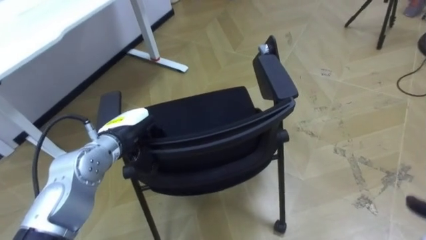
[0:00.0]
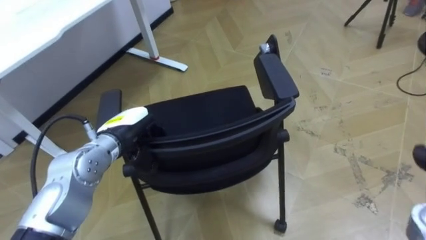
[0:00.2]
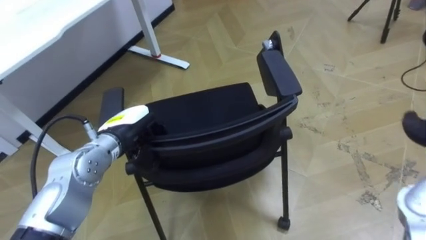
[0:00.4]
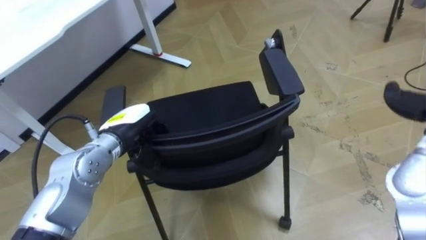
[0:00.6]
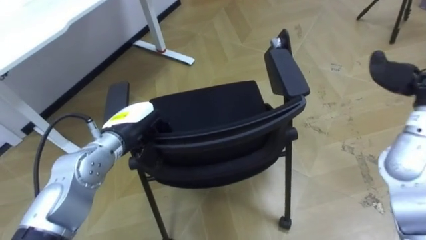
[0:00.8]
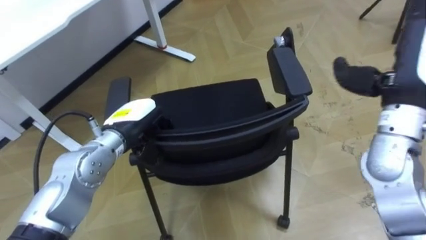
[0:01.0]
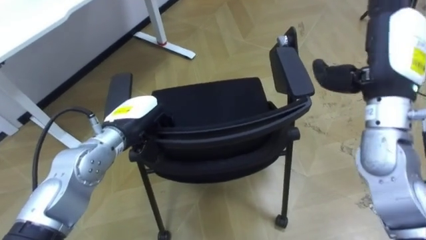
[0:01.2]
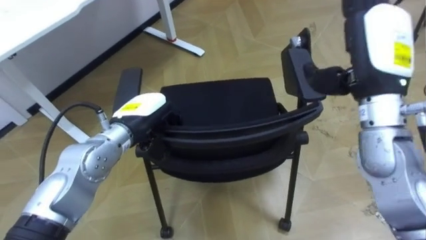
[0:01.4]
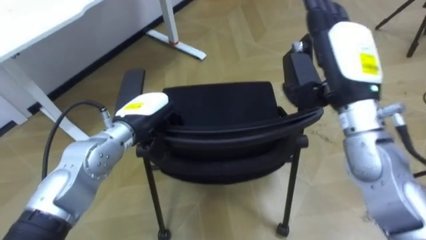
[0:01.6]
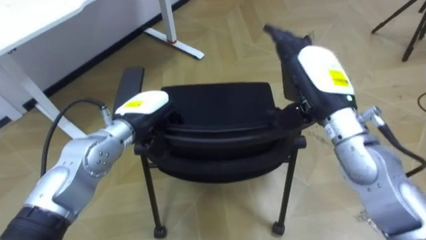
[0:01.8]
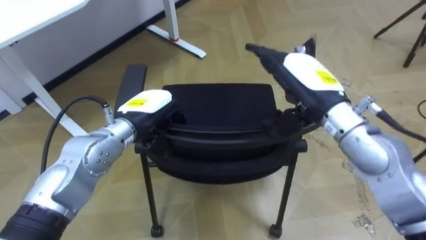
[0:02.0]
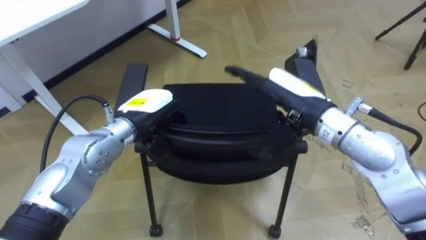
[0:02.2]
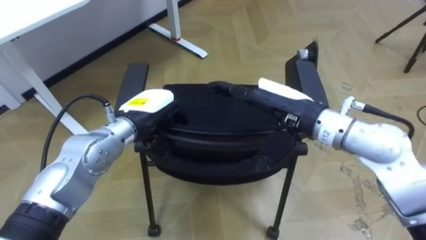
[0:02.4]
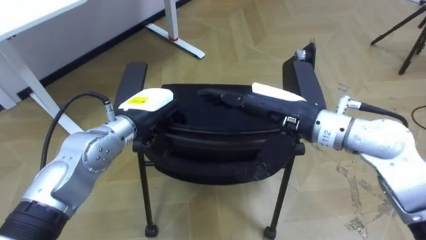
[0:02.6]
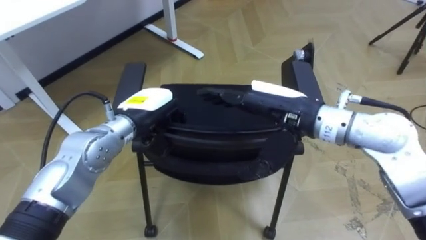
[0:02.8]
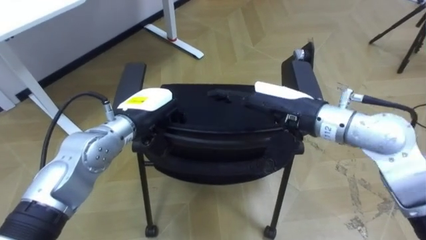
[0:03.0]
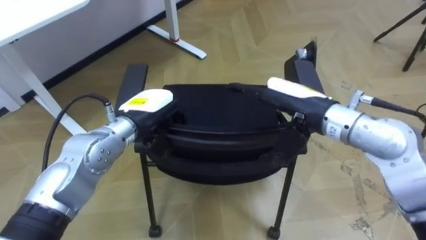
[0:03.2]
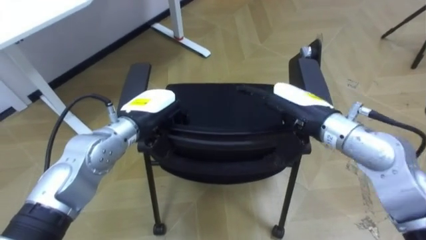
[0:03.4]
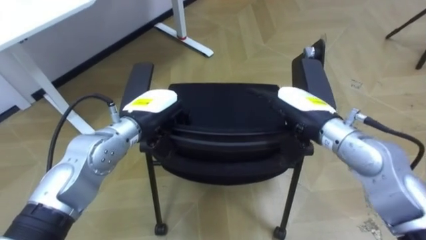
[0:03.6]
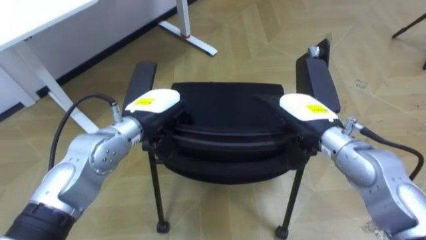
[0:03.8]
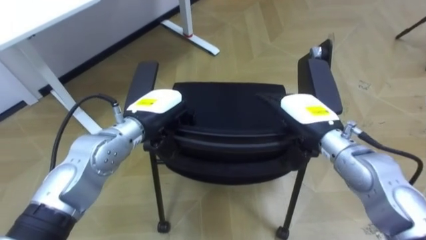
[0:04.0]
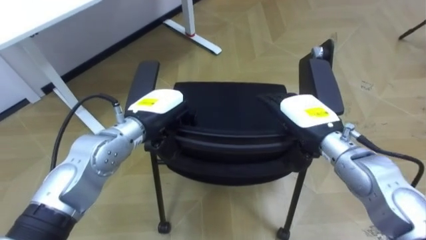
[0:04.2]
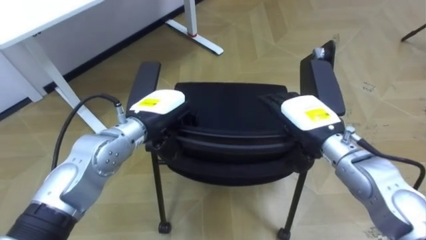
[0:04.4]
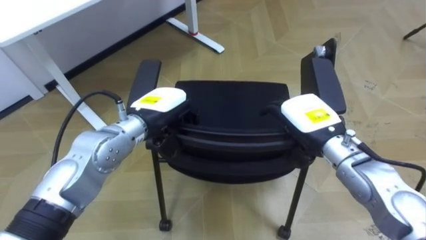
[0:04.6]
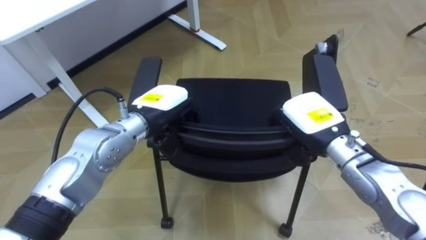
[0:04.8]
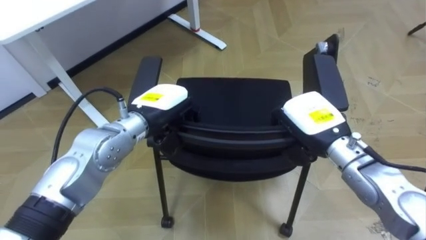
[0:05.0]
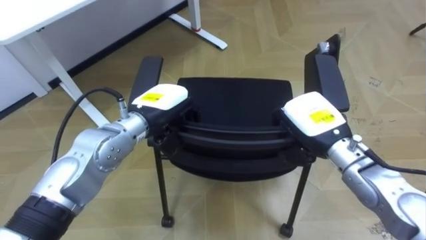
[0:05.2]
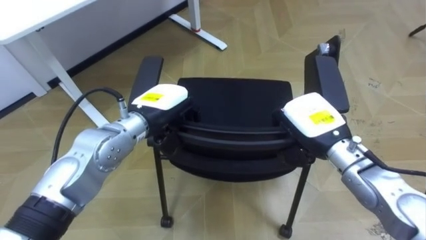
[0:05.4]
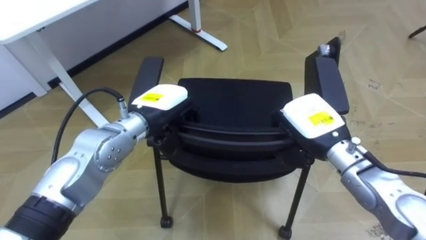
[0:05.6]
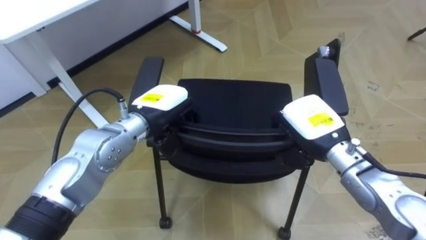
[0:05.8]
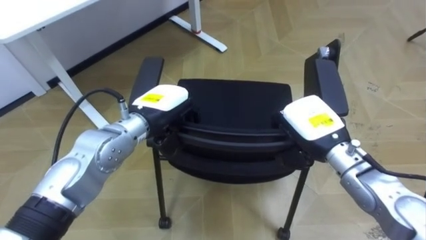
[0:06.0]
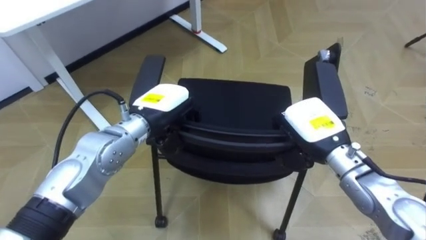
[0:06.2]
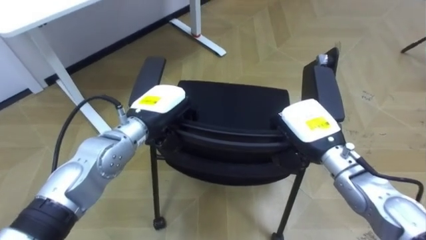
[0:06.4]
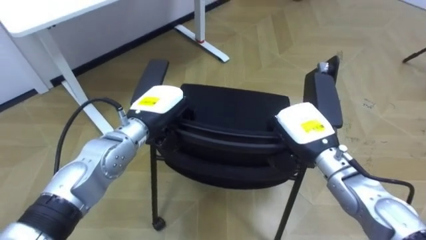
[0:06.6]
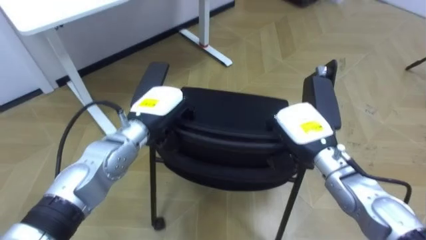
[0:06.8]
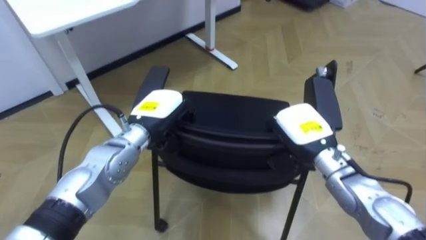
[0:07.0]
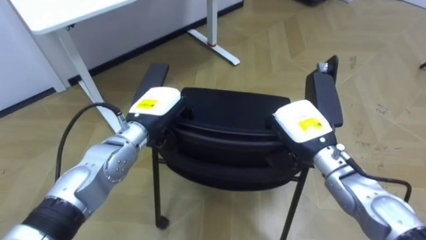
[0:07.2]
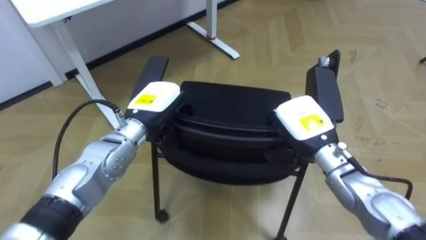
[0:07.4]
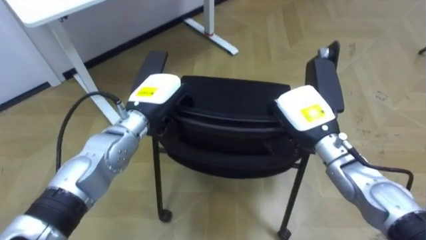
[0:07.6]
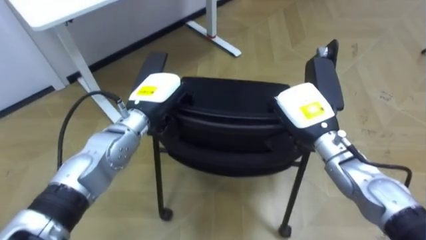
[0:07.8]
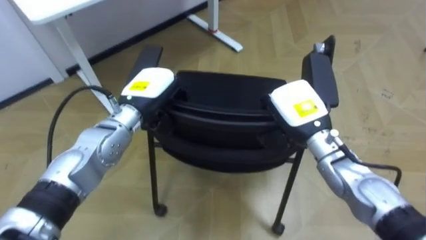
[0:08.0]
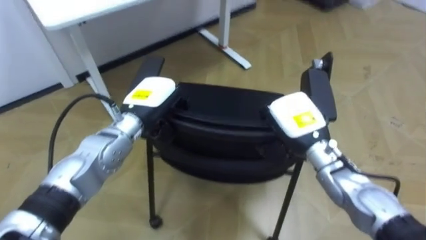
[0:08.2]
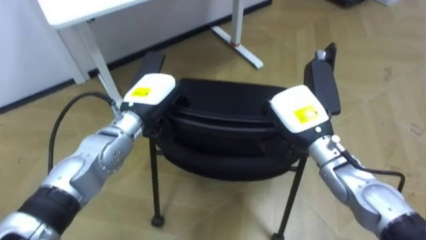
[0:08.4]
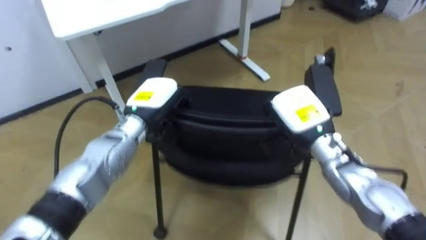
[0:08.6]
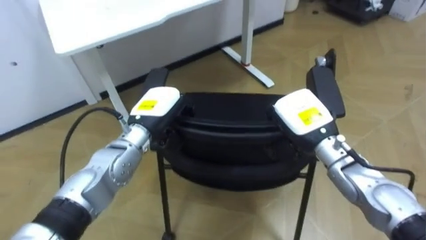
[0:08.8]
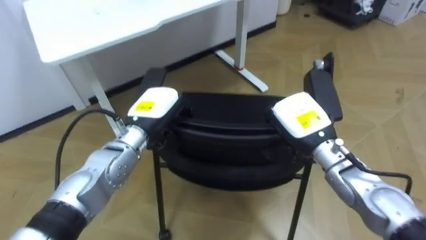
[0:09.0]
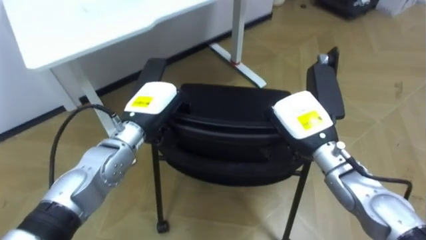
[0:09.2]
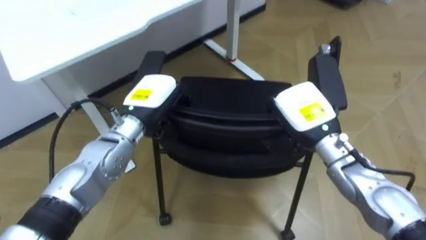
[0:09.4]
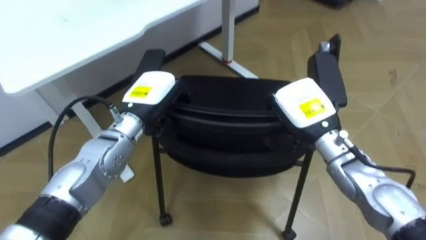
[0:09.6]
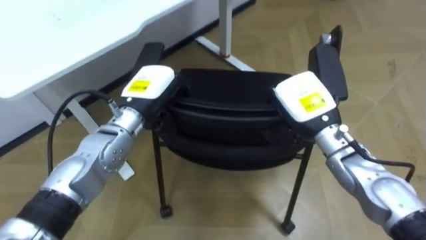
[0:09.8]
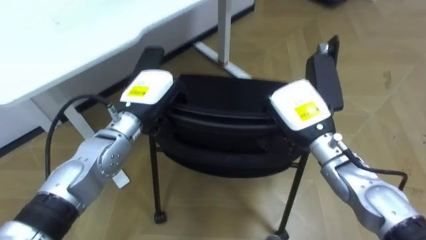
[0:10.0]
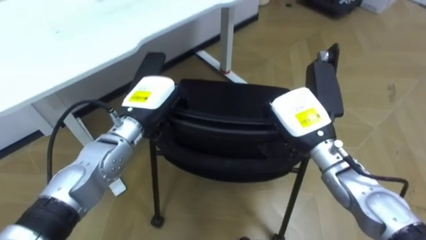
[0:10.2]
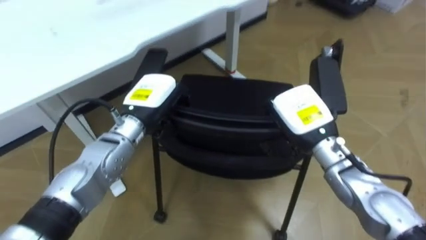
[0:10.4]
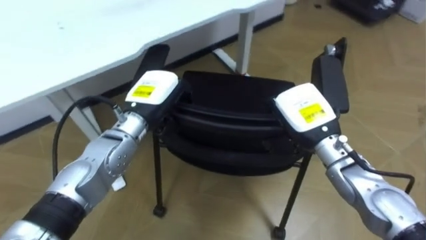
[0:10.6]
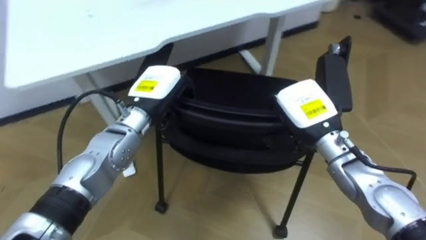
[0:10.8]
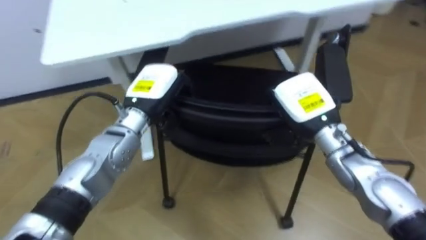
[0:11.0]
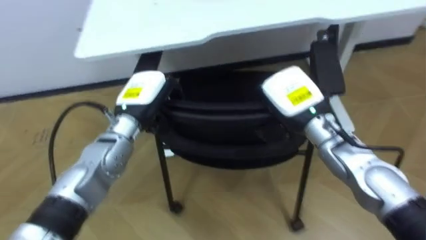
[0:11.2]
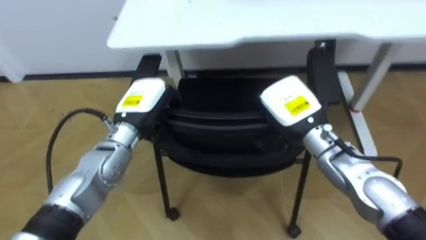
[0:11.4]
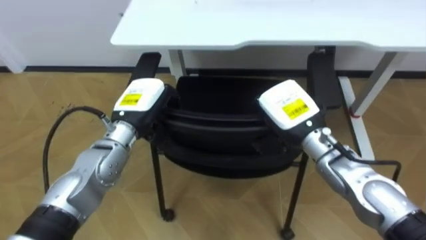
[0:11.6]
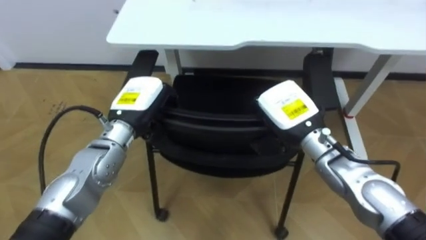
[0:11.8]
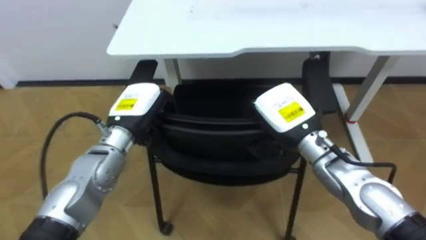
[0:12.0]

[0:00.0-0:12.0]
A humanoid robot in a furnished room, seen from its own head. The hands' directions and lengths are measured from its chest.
Task of the whole recording: Push the chair under the table.
0:01.6 to 0:03.0: The right hand moves to the left and downward, roughly 10 cm.
0:03.0 to 0:04.4: The right hand heads downward and to the right, covering about 10 cm.
0:04.4 to 0:06.0: The right hand closes.
0:10.4 to 0:12.0: The robot rotates about 30 degrees to its left.

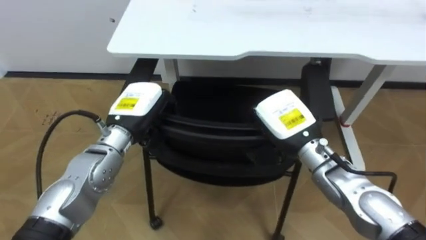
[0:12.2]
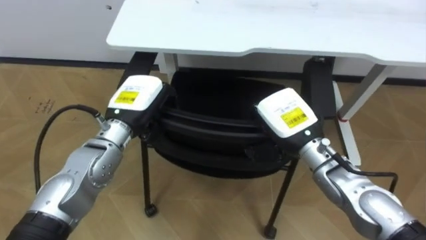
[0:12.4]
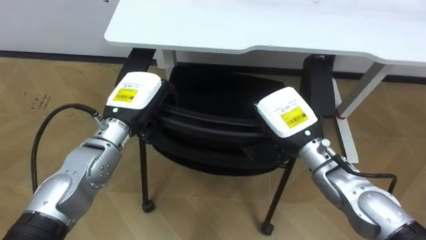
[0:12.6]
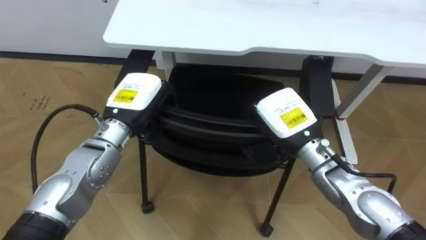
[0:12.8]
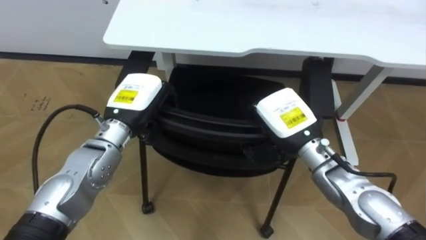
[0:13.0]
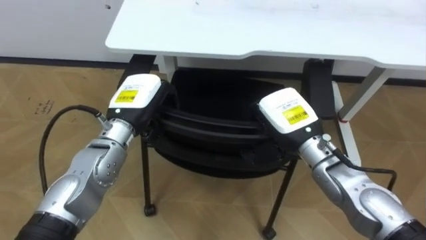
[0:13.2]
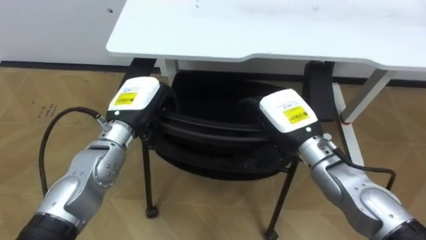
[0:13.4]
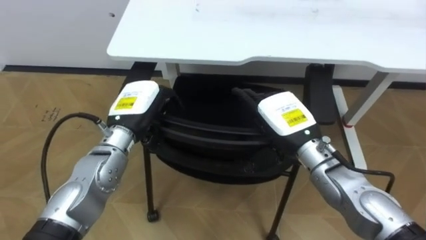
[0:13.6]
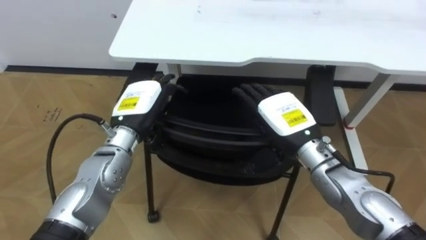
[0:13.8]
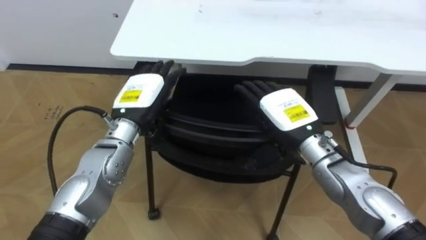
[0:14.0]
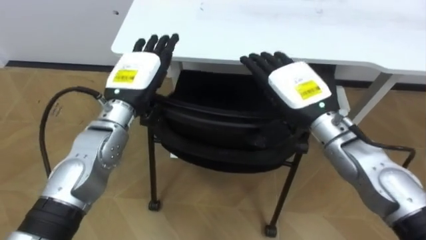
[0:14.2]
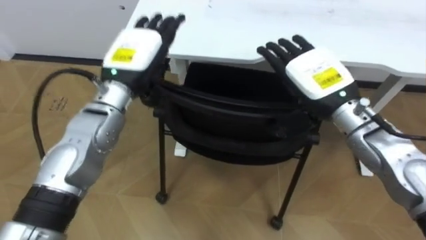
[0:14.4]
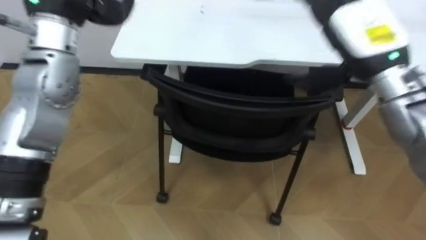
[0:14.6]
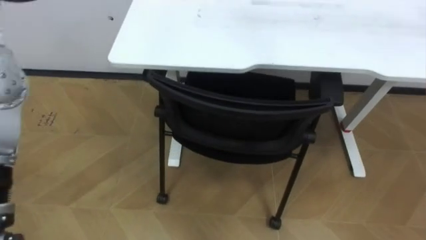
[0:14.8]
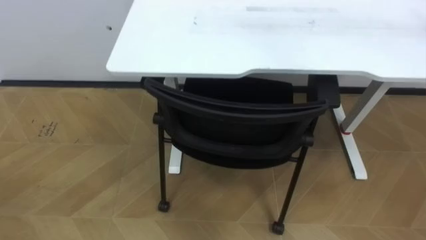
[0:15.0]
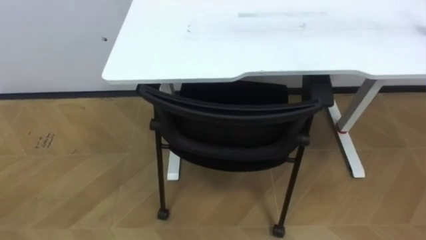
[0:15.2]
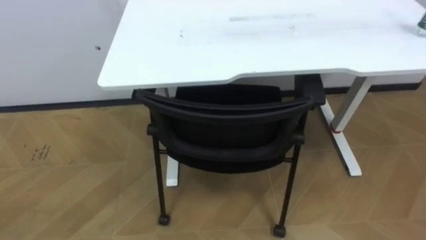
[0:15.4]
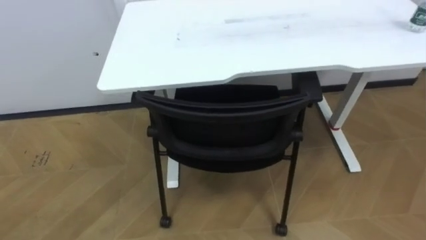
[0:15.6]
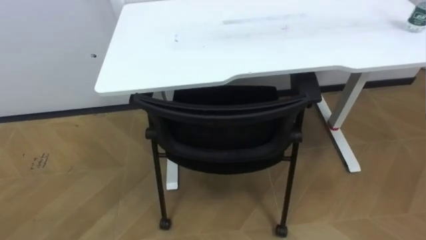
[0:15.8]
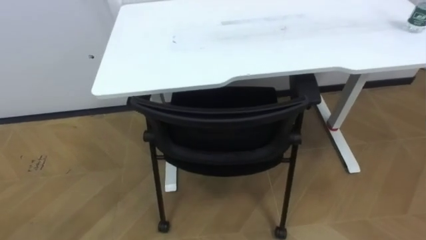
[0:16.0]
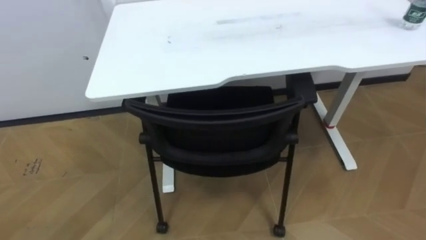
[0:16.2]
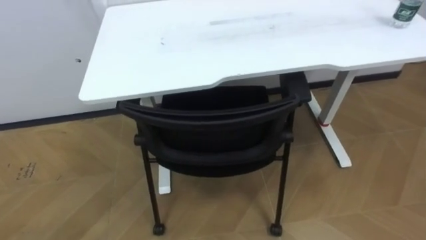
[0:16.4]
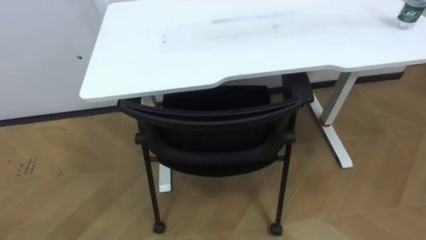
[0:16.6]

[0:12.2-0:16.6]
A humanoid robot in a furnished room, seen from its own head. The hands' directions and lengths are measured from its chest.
Task of the whole recording: Push the chair under the table.
0:12.2 to 0:13.6: The left hand opens its fingers. The right hand opens up.
